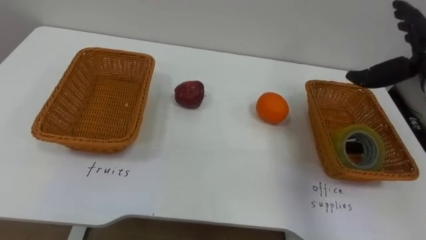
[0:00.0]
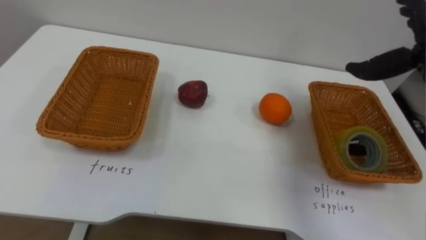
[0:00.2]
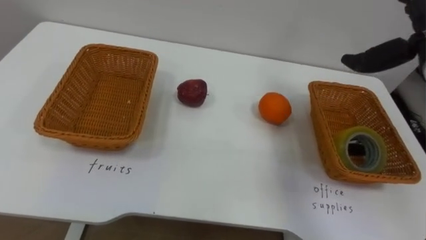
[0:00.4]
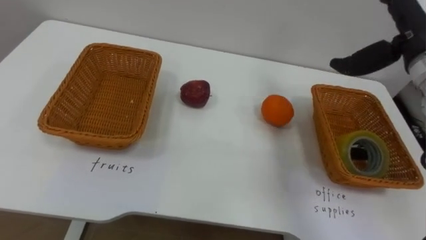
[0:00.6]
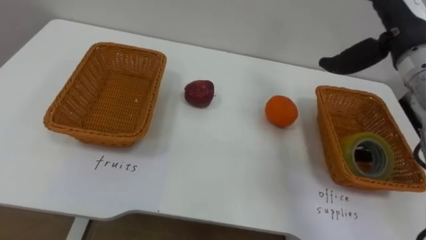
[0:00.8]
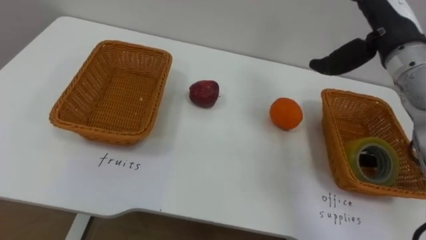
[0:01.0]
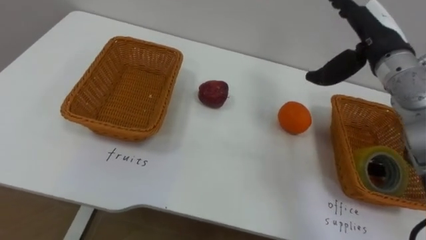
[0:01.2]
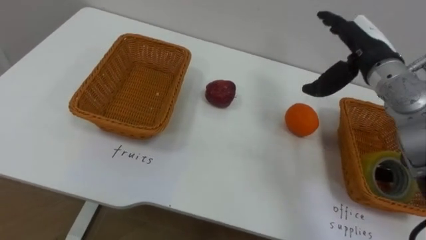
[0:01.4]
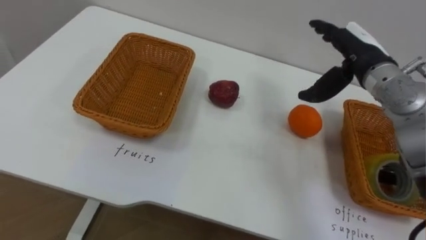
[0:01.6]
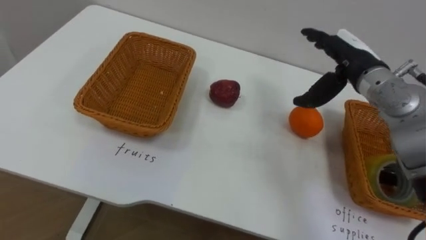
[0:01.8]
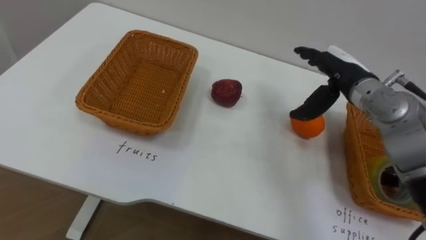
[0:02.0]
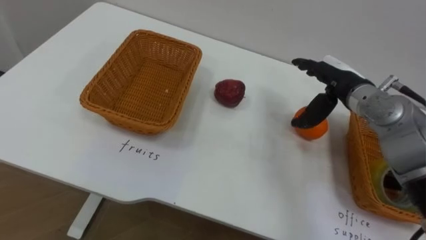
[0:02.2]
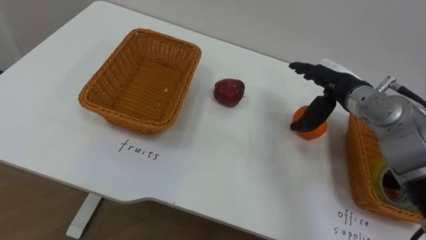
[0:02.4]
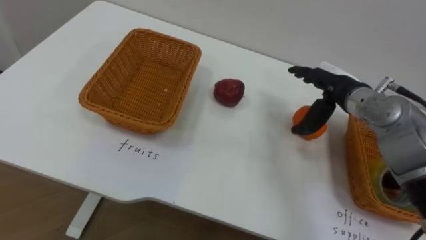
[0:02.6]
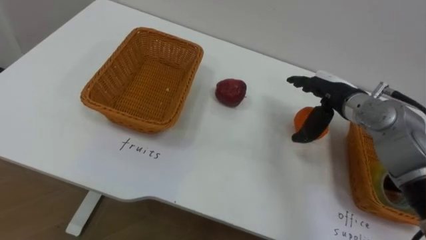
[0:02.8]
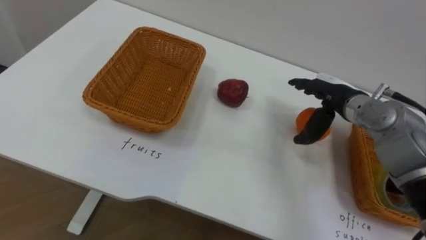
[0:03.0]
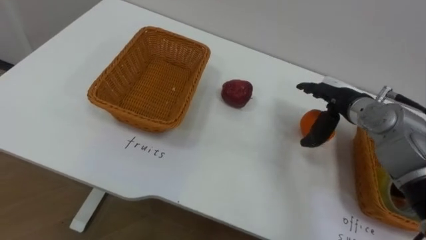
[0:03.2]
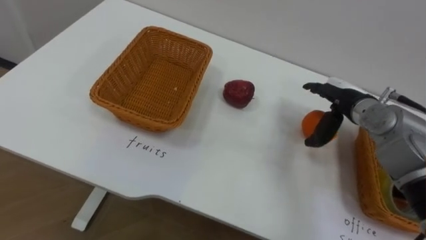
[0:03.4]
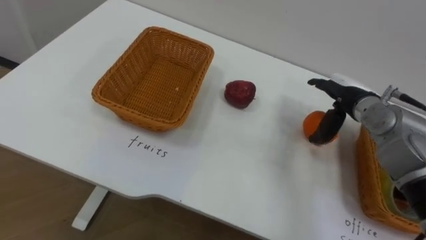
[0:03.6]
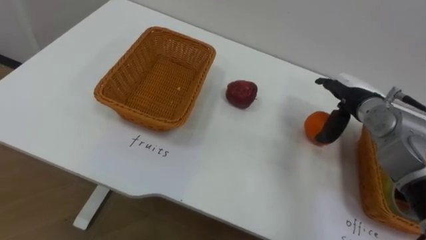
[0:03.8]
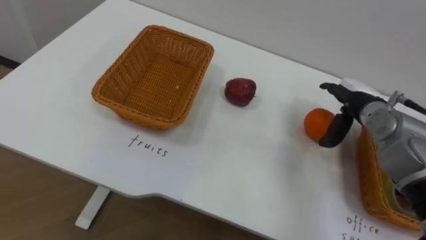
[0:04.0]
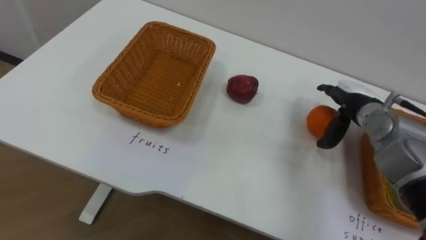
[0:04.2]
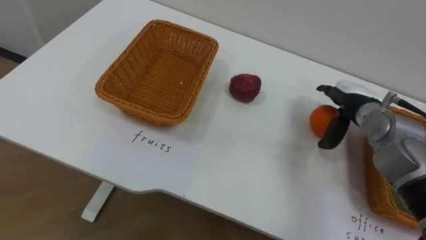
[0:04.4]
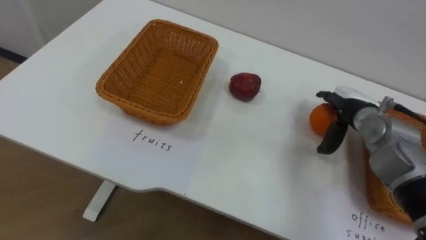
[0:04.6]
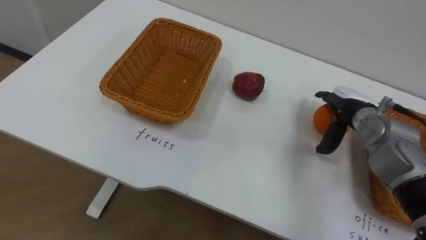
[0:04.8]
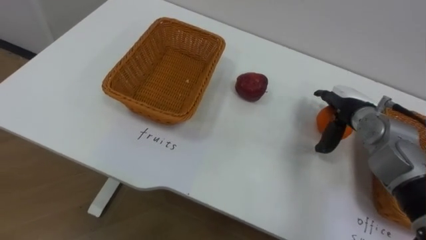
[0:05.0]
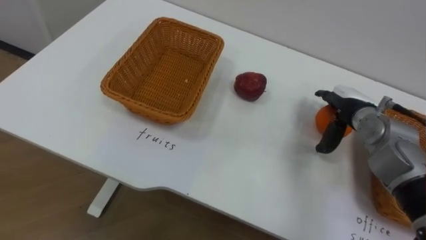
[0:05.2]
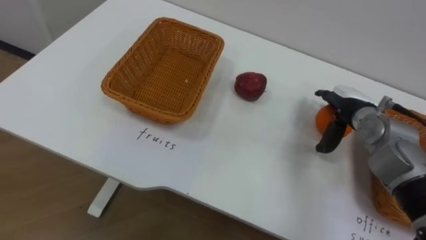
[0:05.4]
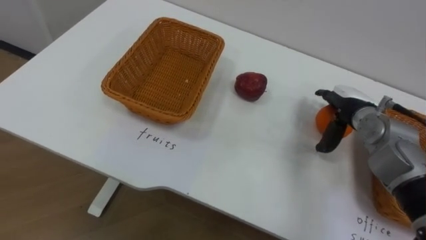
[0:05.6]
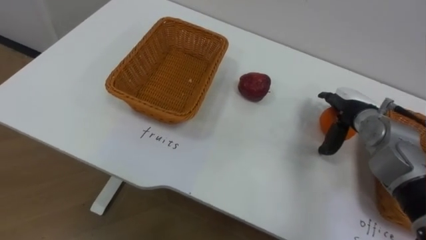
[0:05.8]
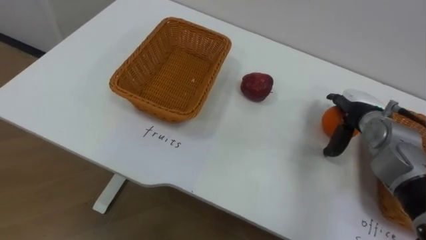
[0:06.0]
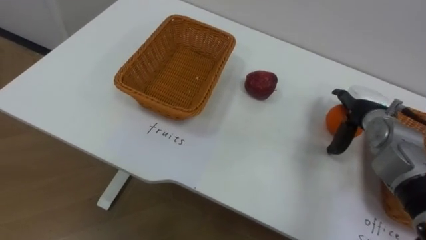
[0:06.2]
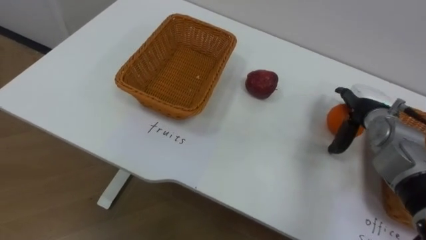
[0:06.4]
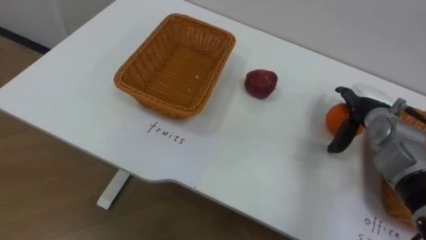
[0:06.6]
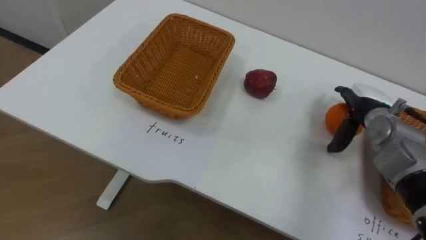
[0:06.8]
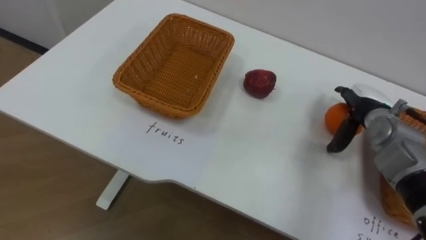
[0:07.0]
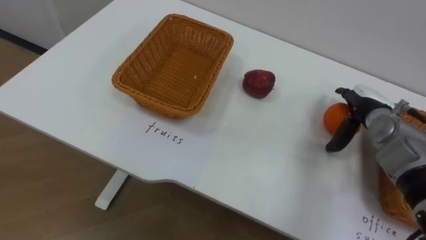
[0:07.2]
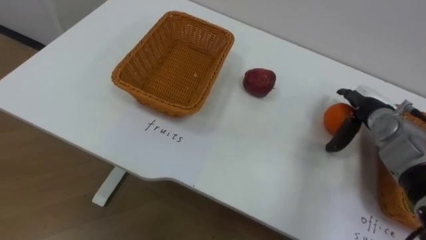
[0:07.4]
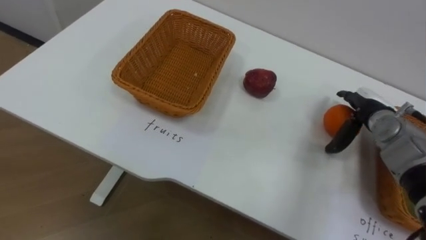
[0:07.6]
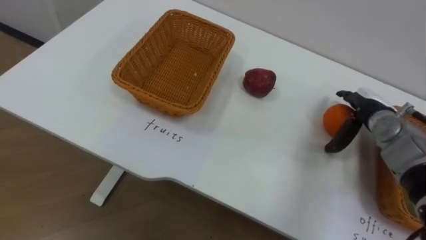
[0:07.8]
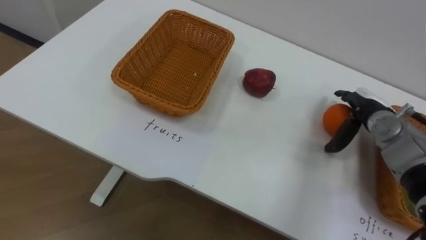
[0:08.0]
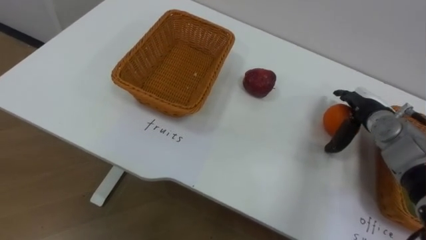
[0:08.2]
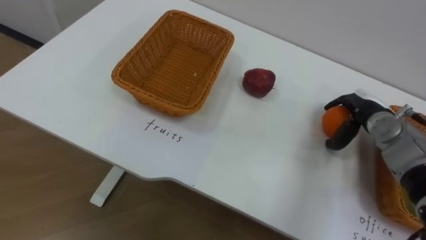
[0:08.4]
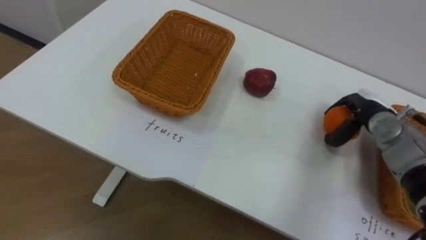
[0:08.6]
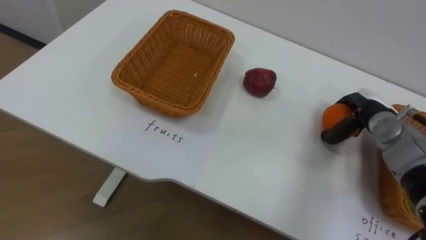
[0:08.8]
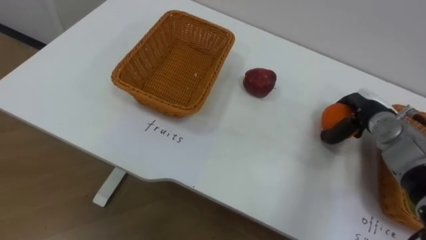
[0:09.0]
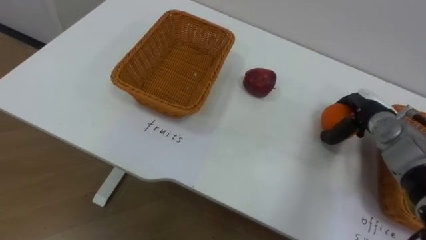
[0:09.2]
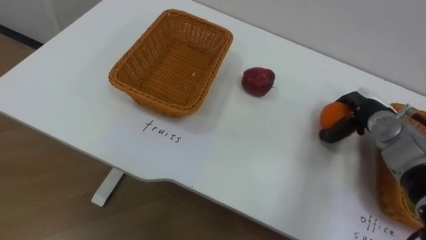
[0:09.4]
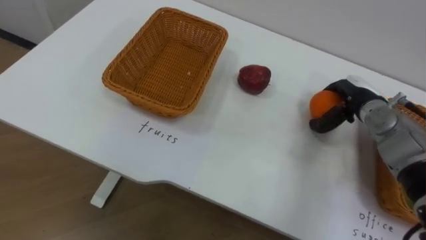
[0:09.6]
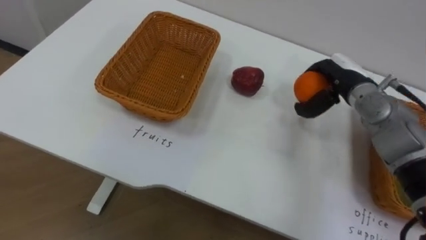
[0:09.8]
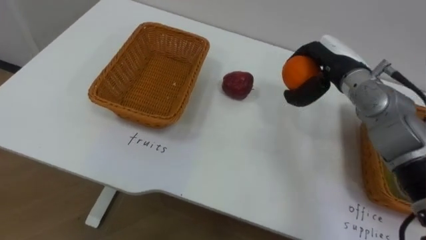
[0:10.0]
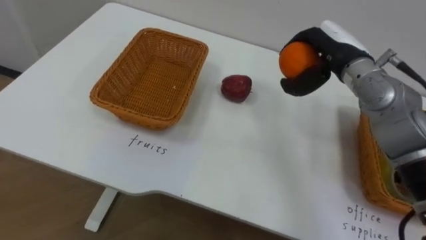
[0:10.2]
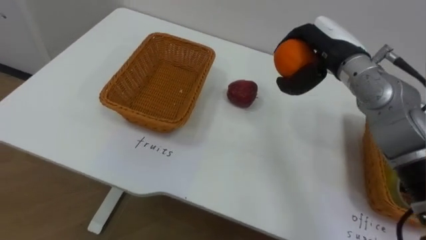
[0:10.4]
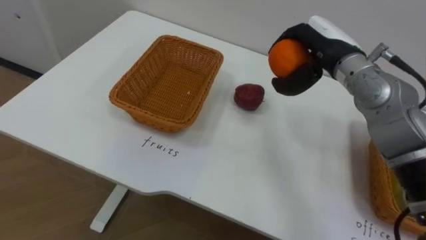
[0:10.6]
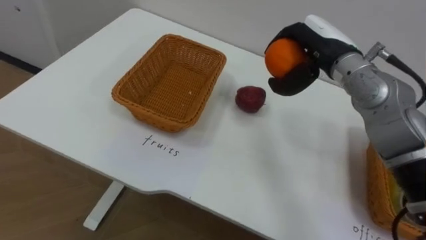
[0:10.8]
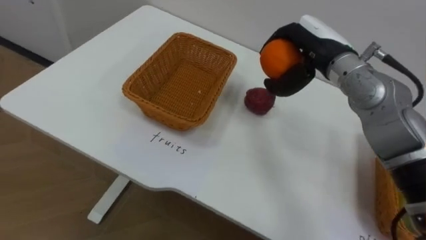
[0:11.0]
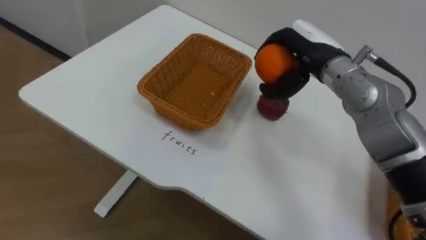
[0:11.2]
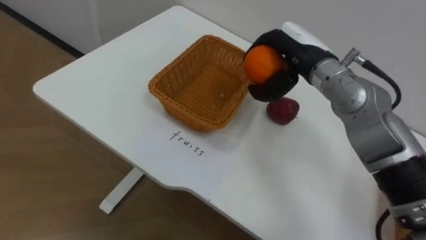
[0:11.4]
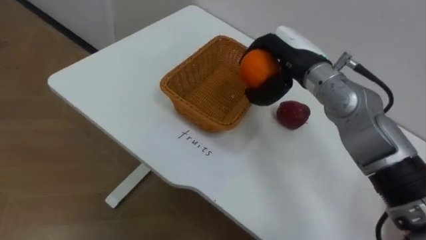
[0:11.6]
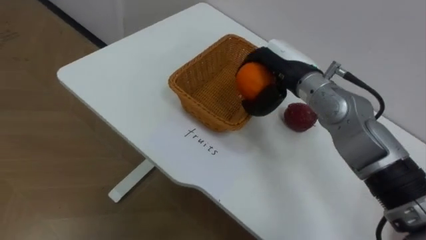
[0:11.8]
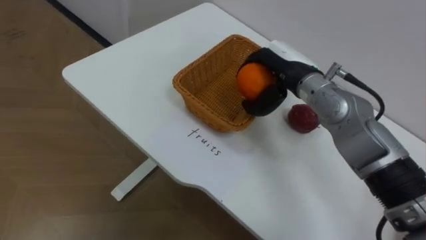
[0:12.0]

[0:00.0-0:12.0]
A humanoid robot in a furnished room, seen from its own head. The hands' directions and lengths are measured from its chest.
Task of the whole recording: Separate the items on the table and place them into the two baskets.
0:01.6 to 0:03.0: The right hand travels downward by about 10 cm.
0:07.6 to 0:09.0: The right hand closes its fingers.
0:09.0 to 0:10.4: The right hand is displaced upward and to the left by approximately 20 cm.
0:10.4 to 0:12.0: The right hand moves to the left, about 5 cm.

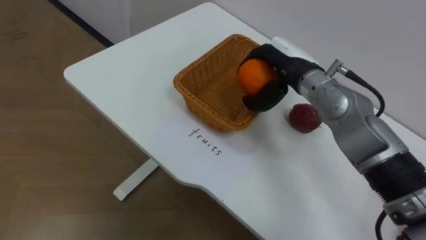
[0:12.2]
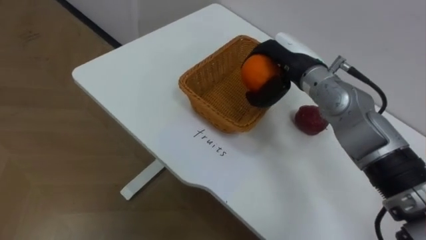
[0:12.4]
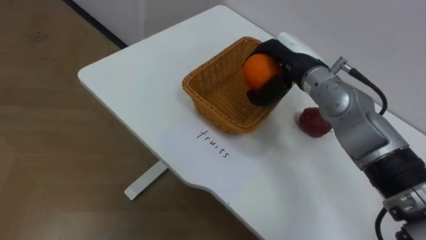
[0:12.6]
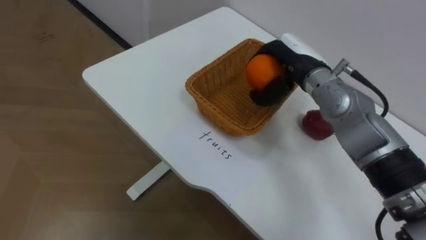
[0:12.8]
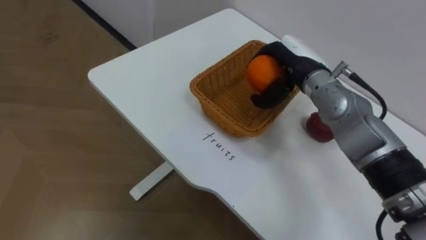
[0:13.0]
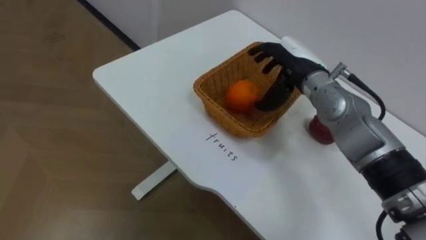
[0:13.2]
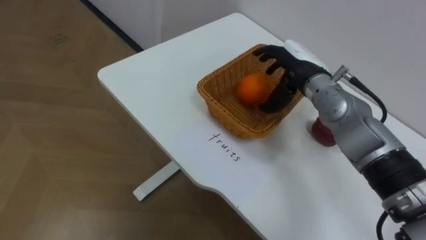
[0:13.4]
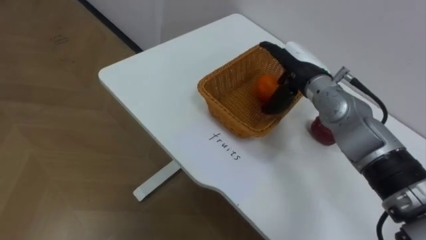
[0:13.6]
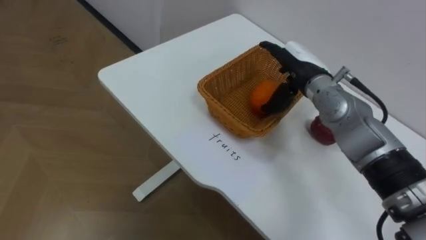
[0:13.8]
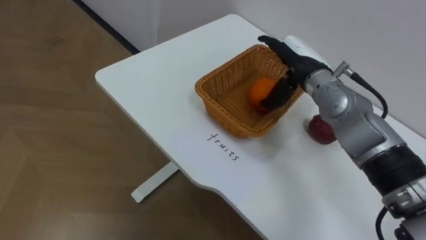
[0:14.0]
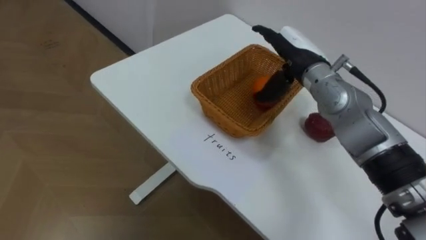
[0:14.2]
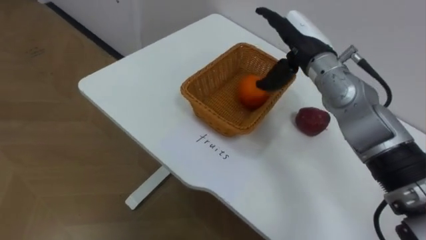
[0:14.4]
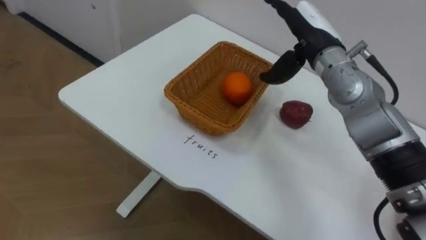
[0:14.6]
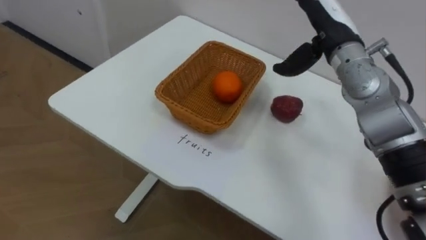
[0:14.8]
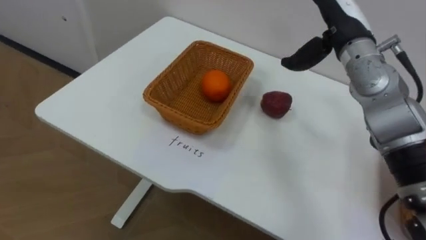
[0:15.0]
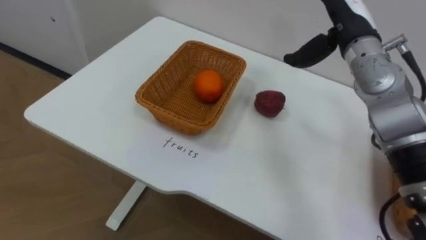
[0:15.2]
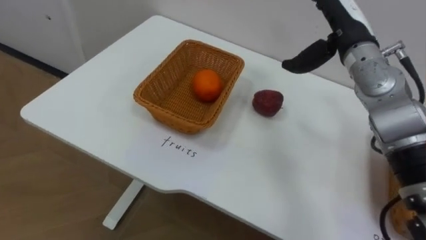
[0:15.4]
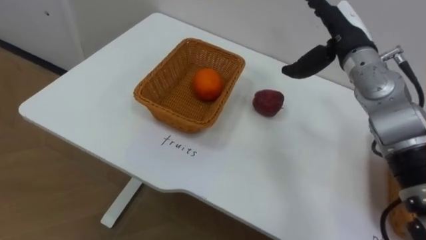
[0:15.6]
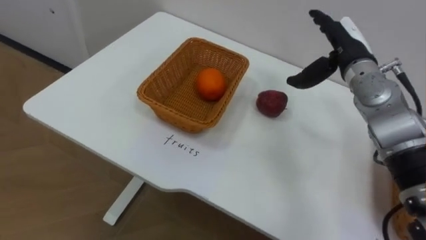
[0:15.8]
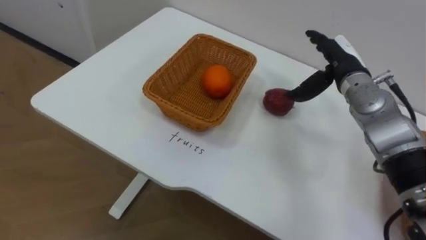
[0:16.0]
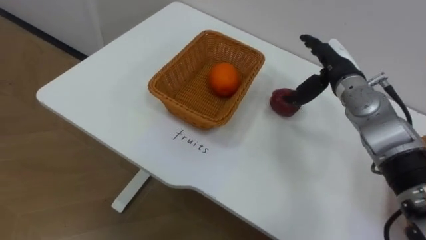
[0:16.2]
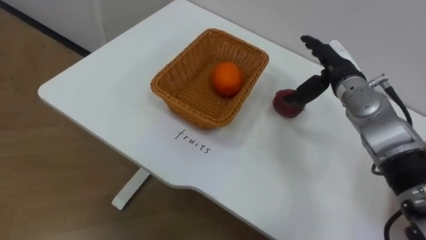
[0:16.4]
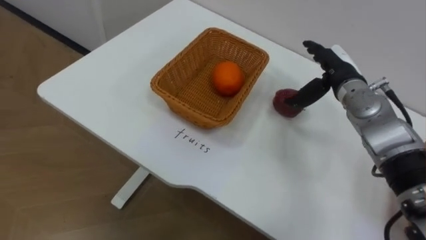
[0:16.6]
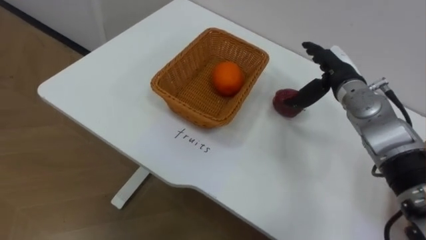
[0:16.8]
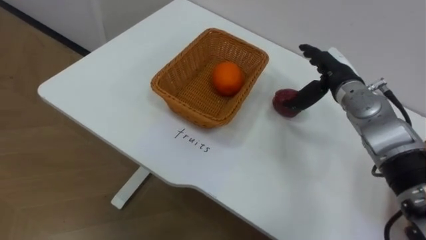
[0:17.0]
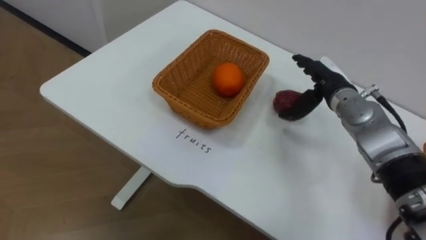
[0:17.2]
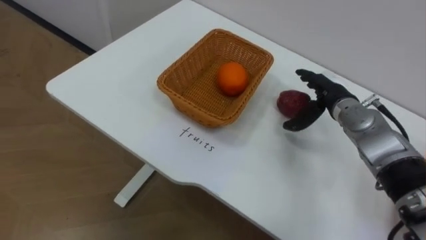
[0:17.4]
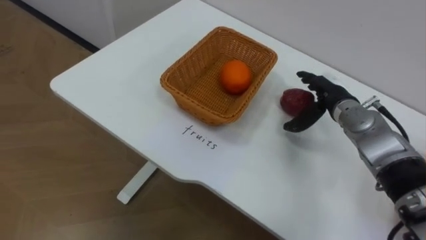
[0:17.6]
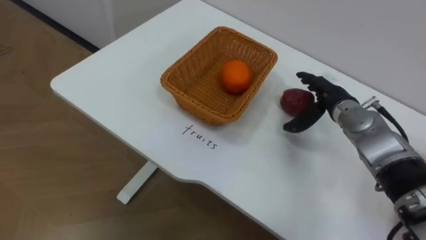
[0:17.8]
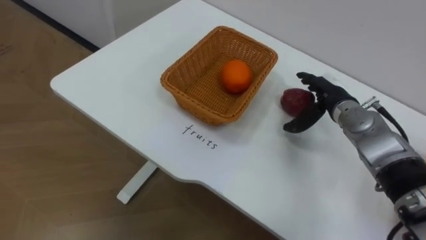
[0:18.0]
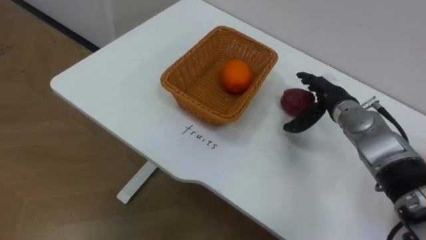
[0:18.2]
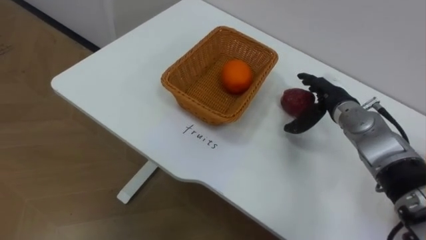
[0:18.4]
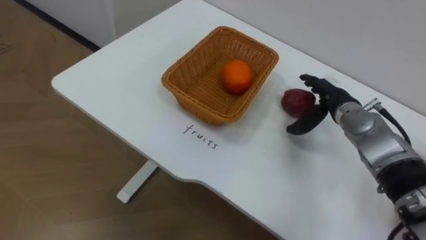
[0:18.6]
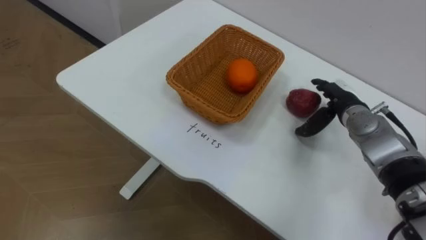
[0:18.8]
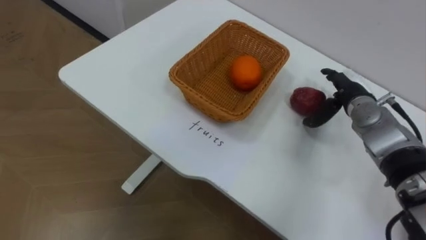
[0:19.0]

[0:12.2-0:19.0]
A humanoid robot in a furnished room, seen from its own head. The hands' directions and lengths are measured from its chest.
Task of the whole recording: Separate the items on the table and place them into the two baskets.
0:12.2 to 0:13.6: The right hand opens.
0:13.6 to 0:15.0: The right hand is displaced upward by about 10 cm.
0:15.0 to 0:16.2: The right hand goes approximately 10 cm downward.
0:16.2 to 0:17.6: The right hand moves downward, roughly 5 cm.
